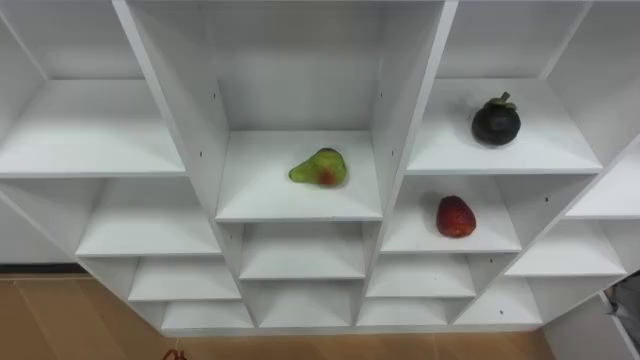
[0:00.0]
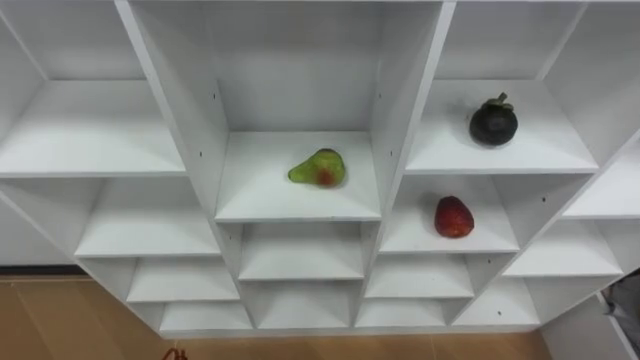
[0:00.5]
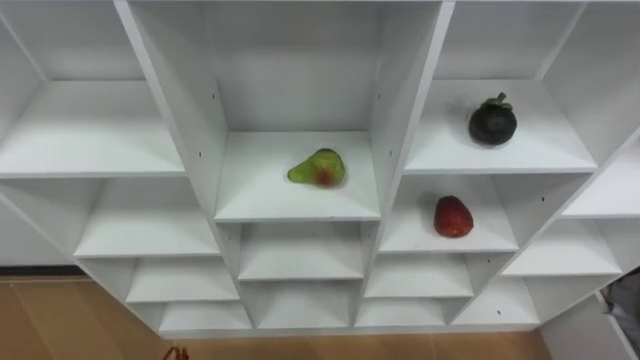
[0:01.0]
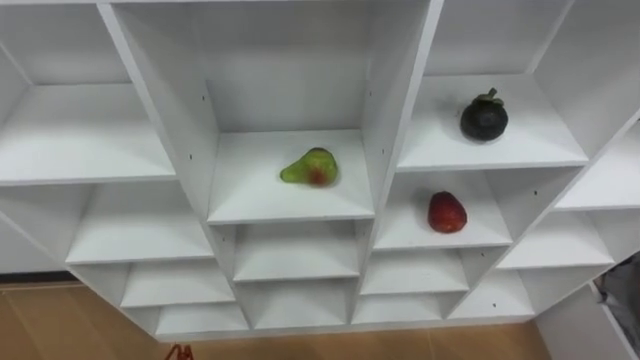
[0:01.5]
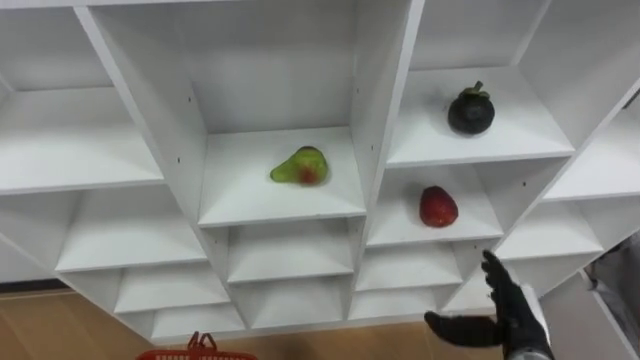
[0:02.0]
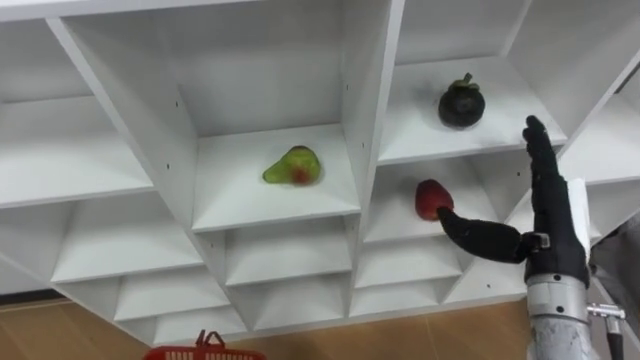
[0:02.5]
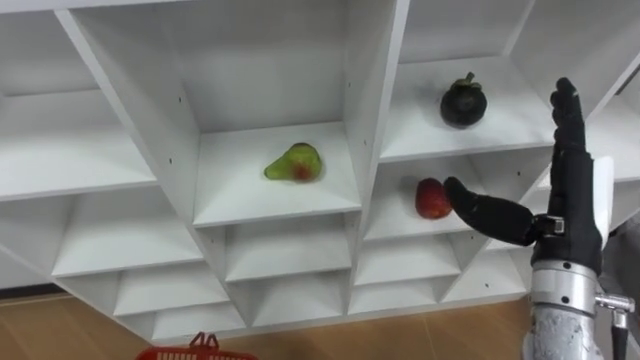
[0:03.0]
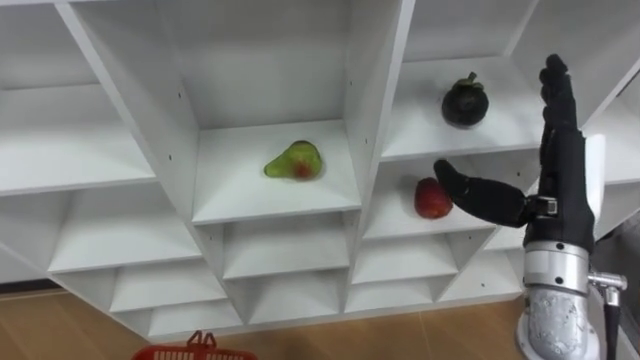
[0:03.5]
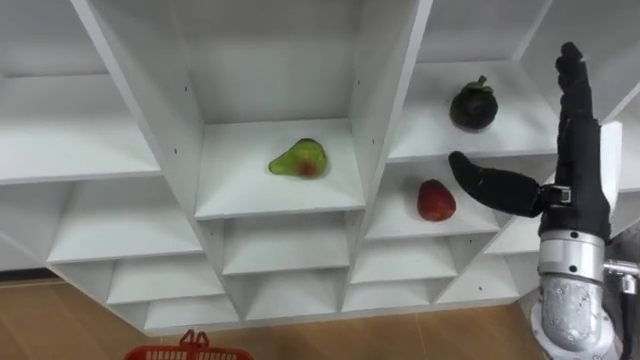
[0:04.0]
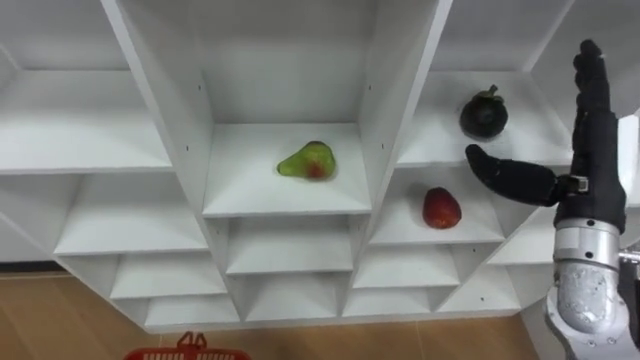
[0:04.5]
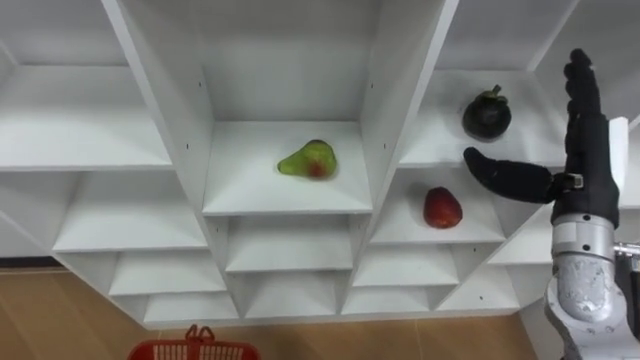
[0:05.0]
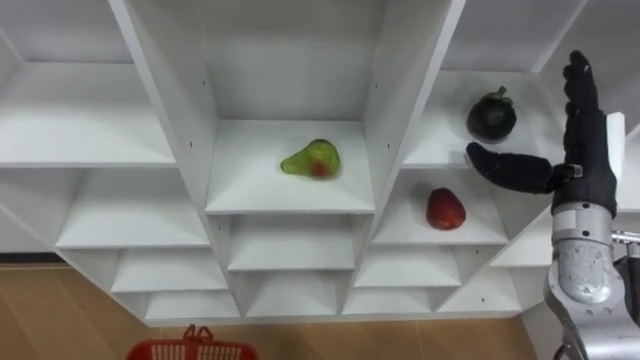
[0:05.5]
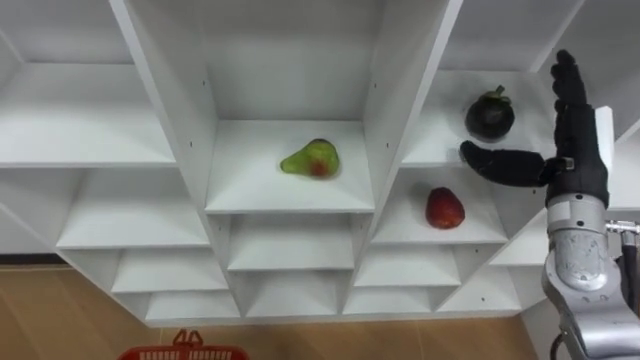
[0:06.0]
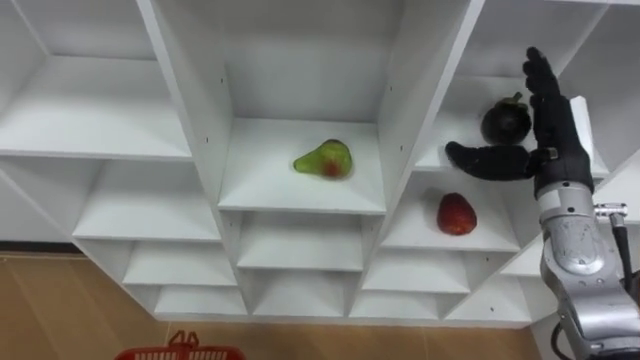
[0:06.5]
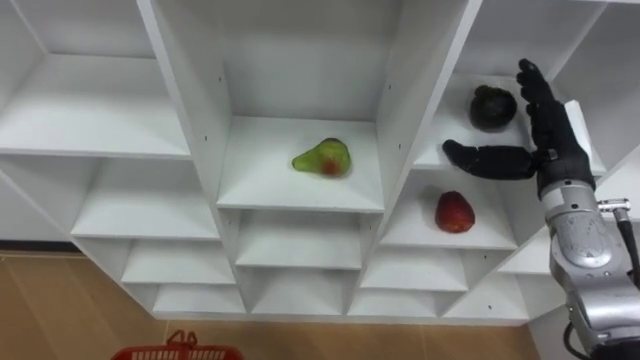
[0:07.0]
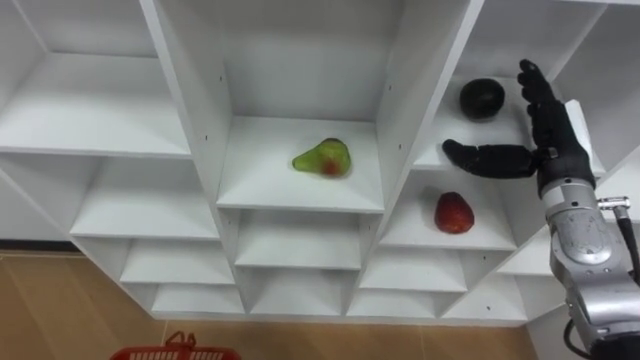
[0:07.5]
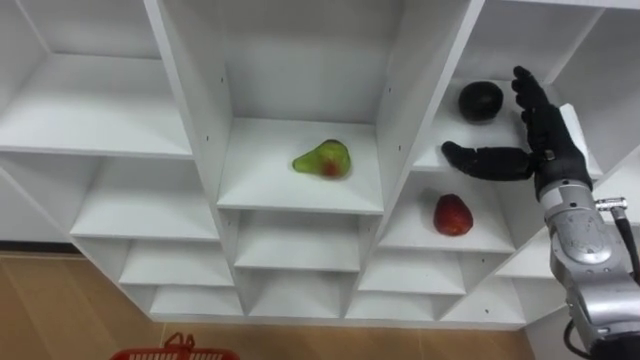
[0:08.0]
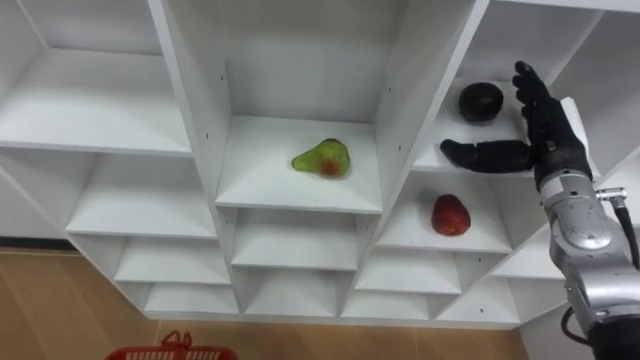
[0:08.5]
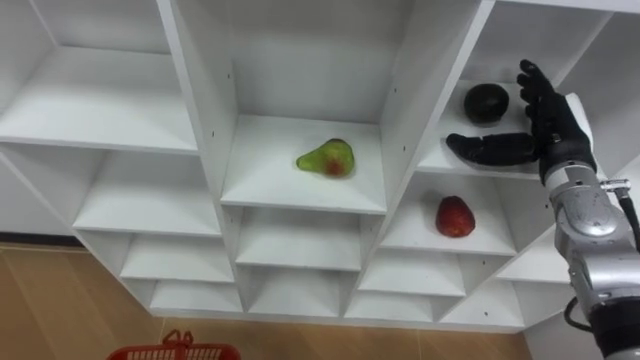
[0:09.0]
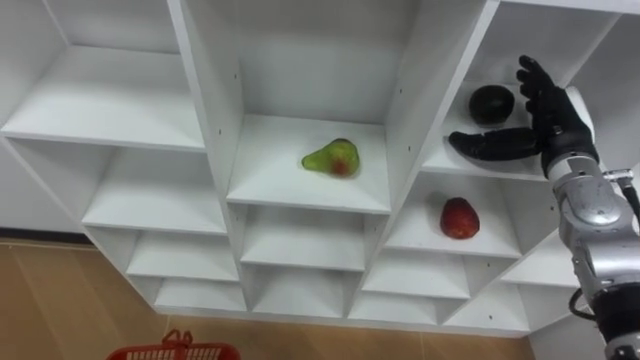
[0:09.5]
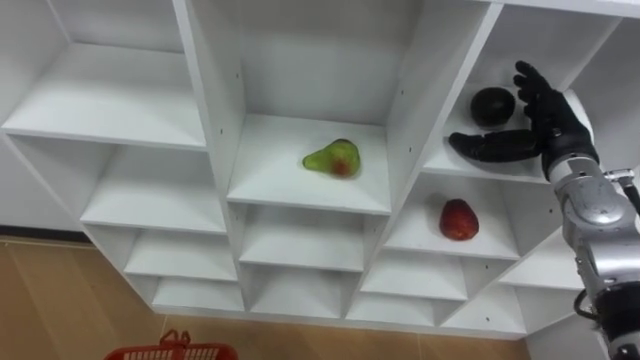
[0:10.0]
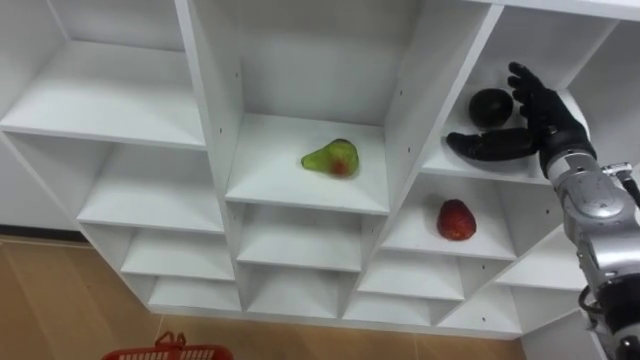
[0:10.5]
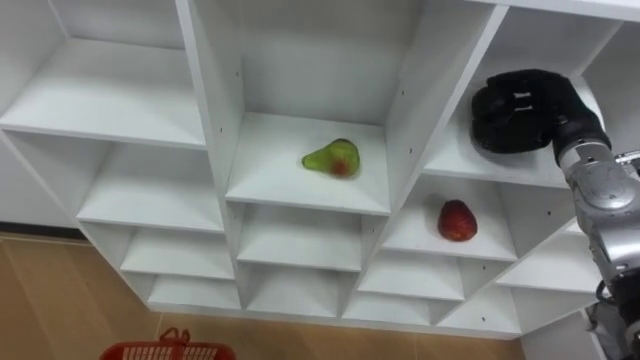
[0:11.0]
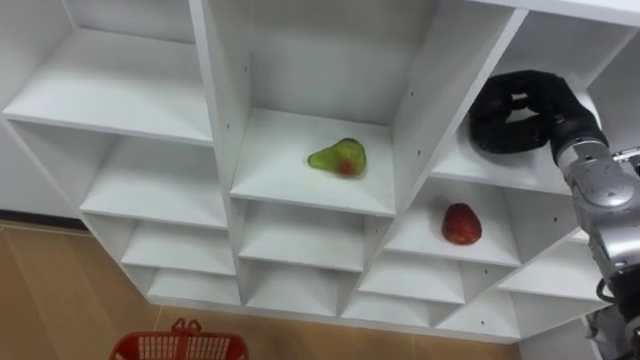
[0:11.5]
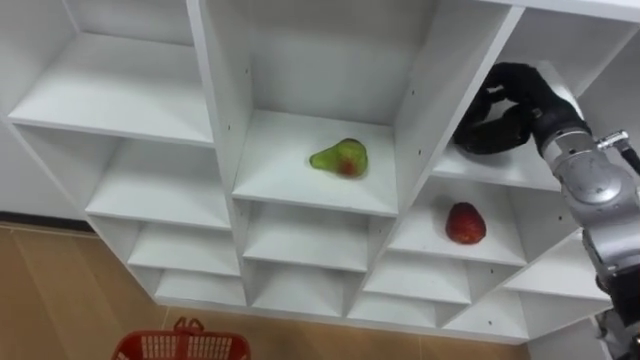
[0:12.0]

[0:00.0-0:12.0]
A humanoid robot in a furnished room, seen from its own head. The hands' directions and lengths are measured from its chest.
Task of the whole recording: Hold the basket and collect the fruits from 3 different cells of the closet into it.
0:02.0 to 0:04.0: The right hand moves upward, approximately 20 cm.
0:04.0 to 0:06.0: The right hand heads forward, covering roughly 5 cm.
0:10.0 to 0:12.0: The right hand closes up.

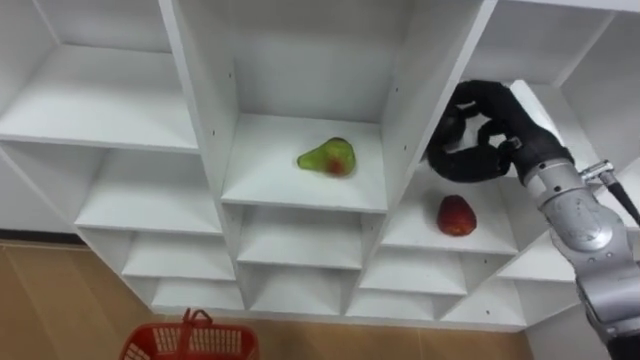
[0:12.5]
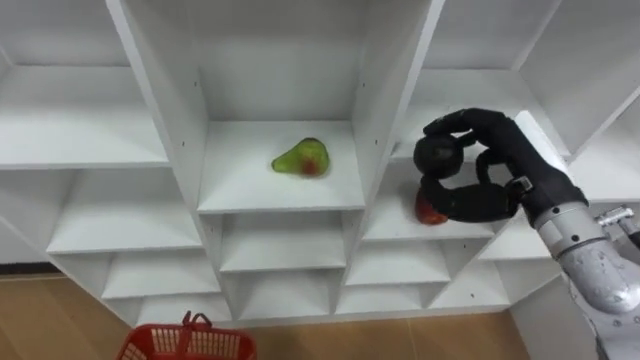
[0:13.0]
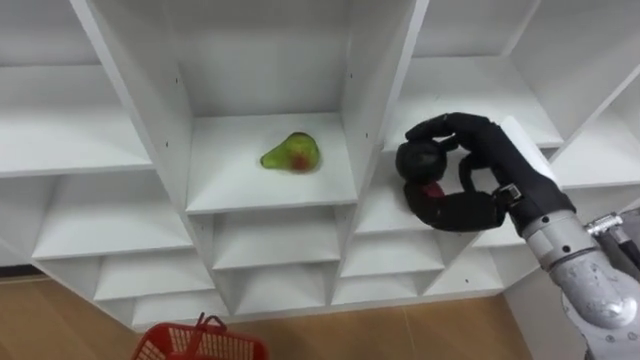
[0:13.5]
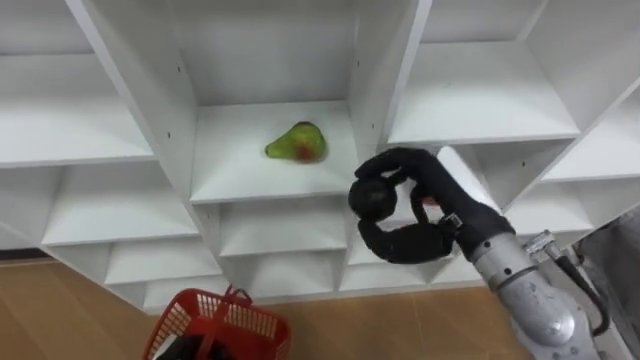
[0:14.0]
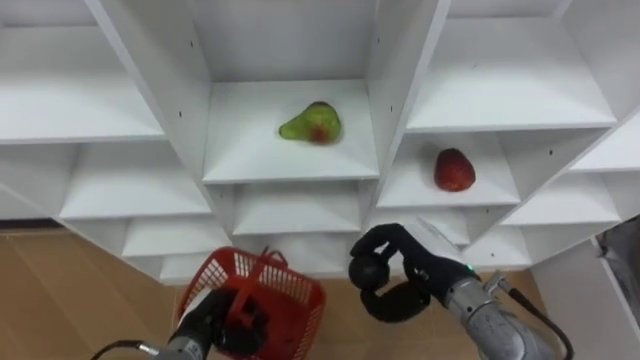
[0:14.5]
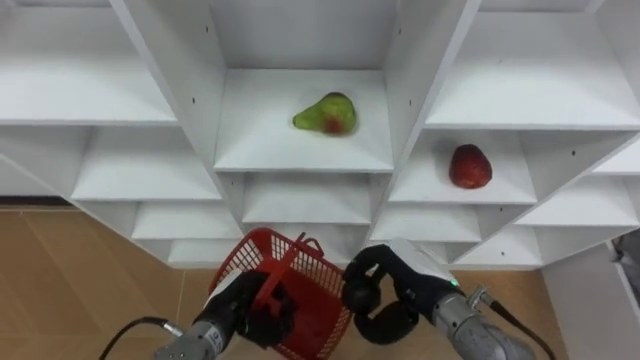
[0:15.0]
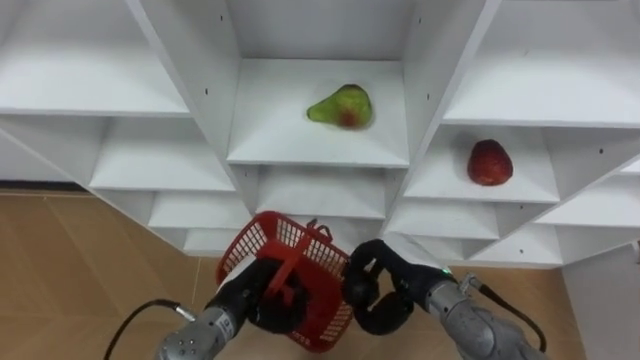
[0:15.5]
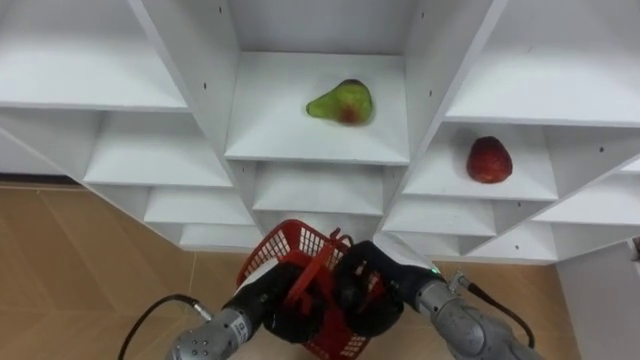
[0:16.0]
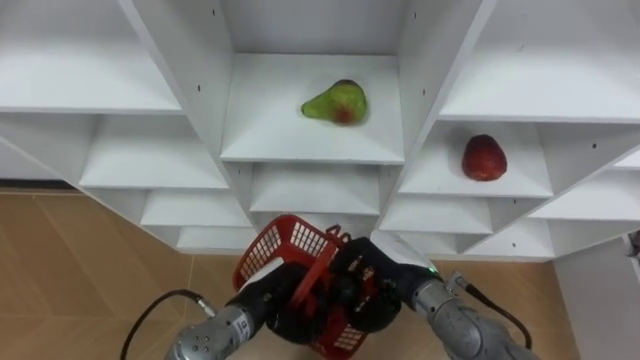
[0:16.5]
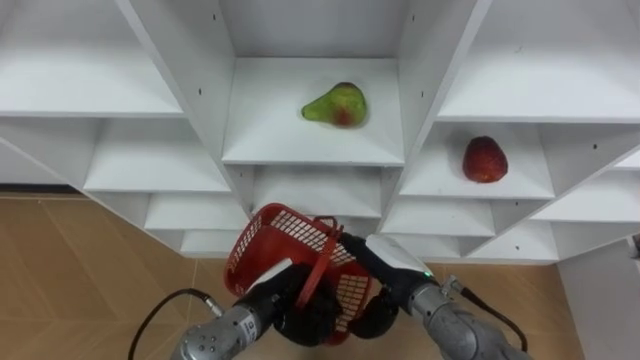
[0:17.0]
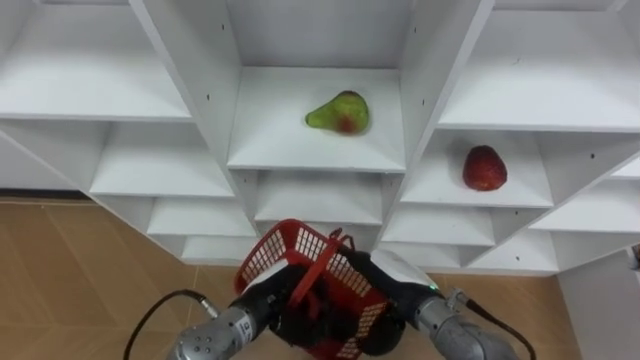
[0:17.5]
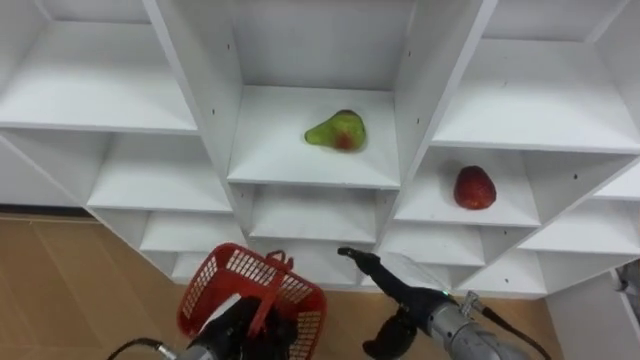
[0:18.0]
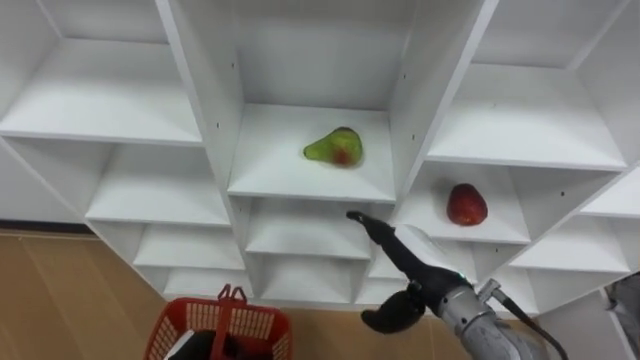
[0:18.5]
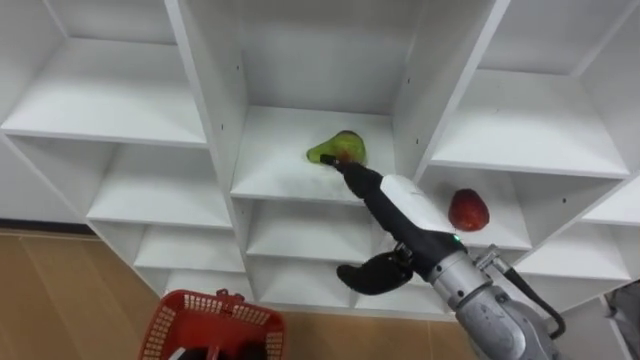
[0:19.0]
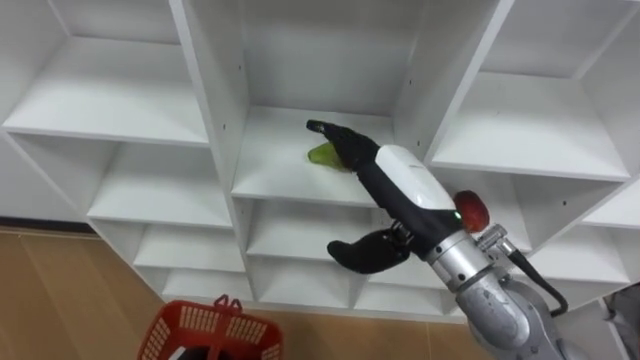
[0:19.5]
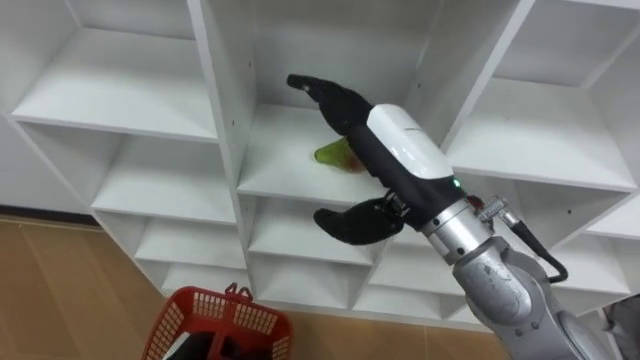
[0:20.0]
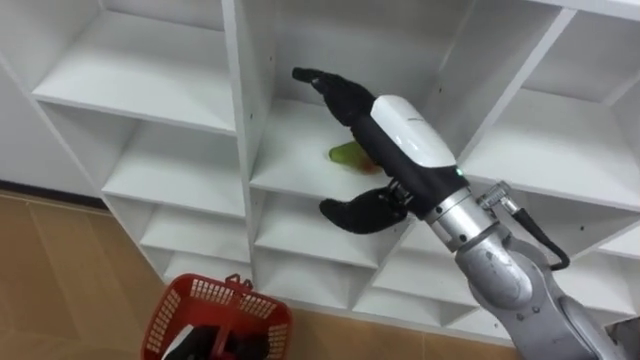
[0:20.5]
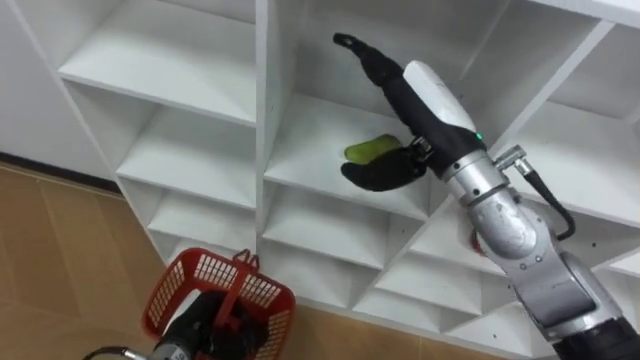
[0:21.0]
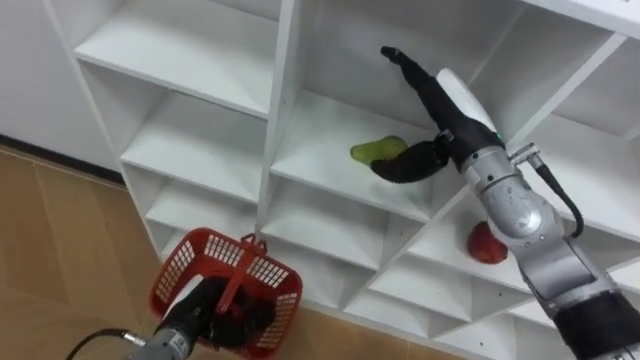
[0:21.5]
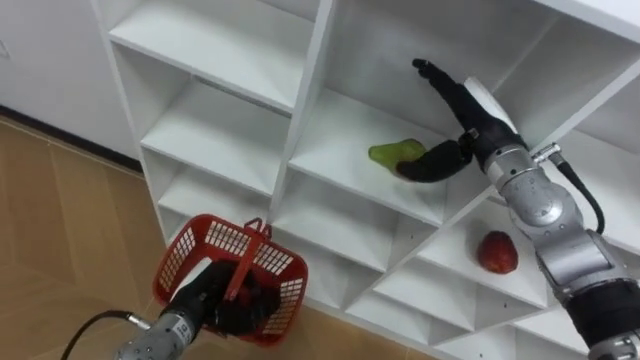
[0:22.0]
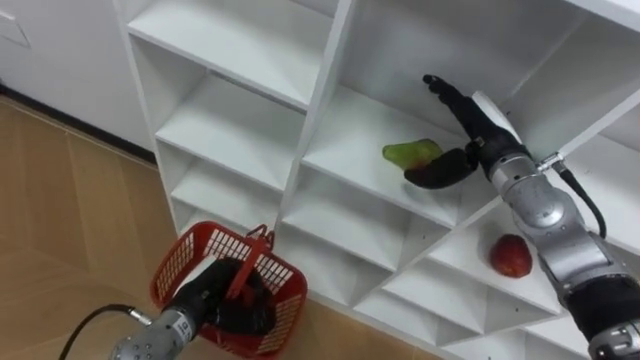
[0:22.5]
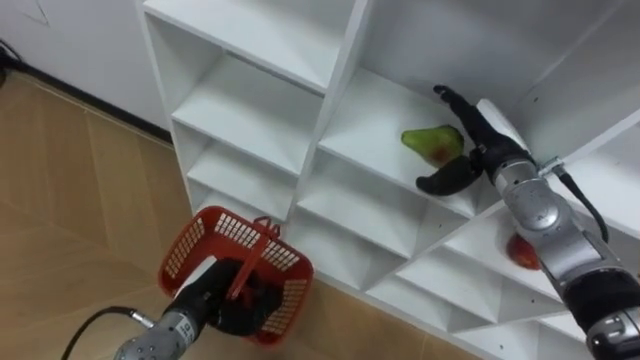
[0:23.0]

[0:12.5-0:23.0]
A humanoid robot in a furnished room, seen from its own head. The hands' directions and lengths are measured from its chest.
Task of the whole recording: Hold the basket and collect the fruits from 3 different cells of the closet into it.
0:12.5 to 0:14.5: The right hand goes roughly 20 cm downward, backward and to the left.
0:14.5 to 0:16.5: The right hand ends up approximately 5 cm from where it was; the left hand travels to the right by roughly 10 cm.
0:16.5 to 0:19.0: The right hand shifts about 10 cm upward, and opens up.
0:19.0 to 0:21.0: The right hand goes approximately 10 cm upward and forward.
0:21.0 to 0:23.0: The right hand moves downward, to the right and forward, some 15 cm, while the left hand shifts by approximately 5 cm.
